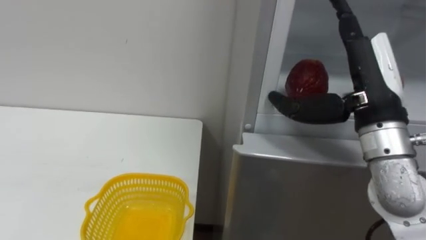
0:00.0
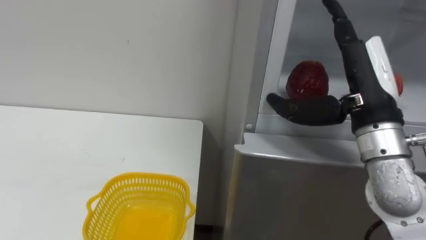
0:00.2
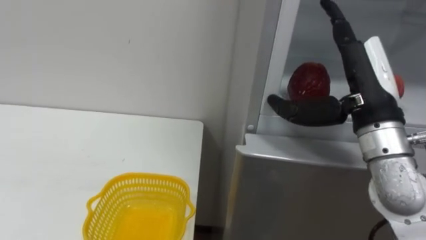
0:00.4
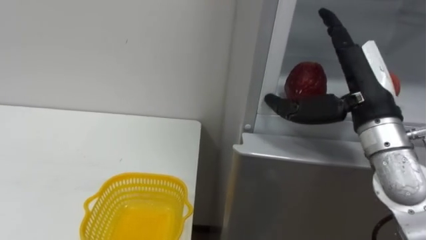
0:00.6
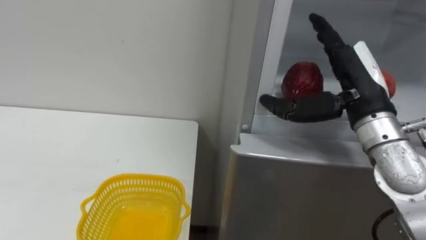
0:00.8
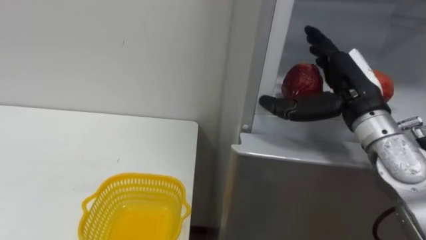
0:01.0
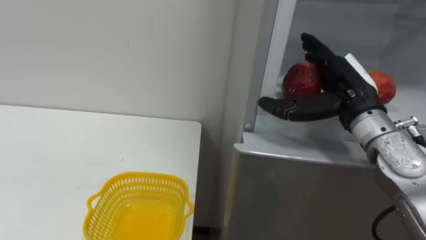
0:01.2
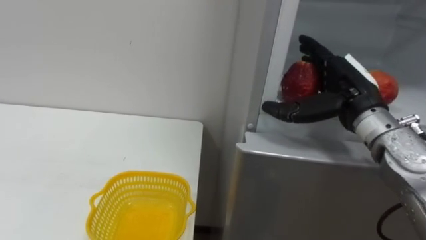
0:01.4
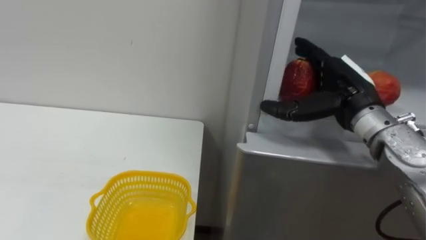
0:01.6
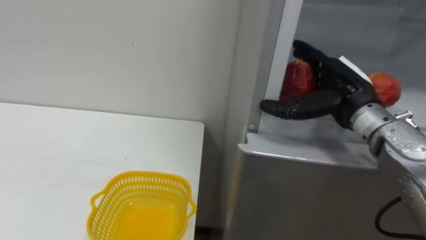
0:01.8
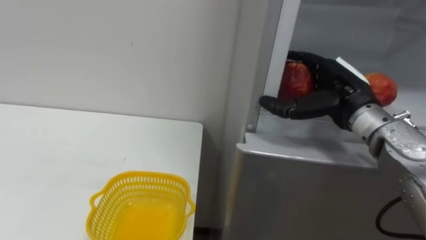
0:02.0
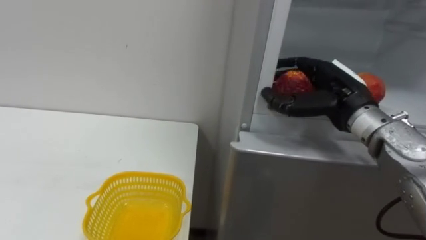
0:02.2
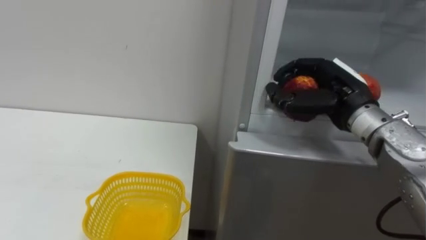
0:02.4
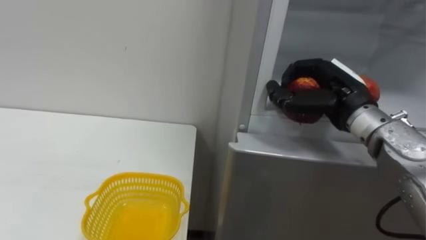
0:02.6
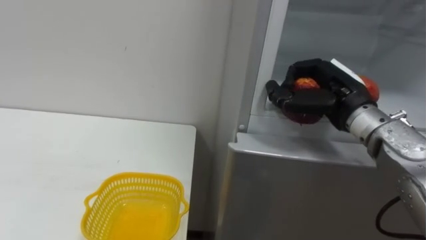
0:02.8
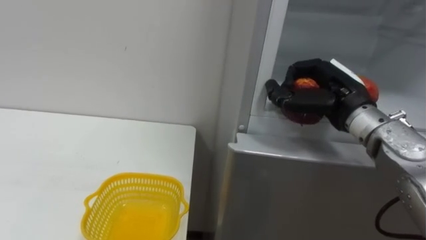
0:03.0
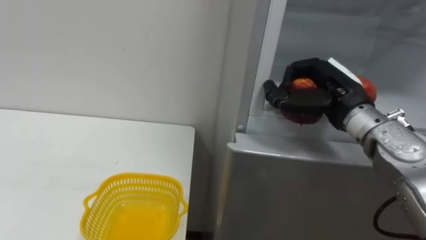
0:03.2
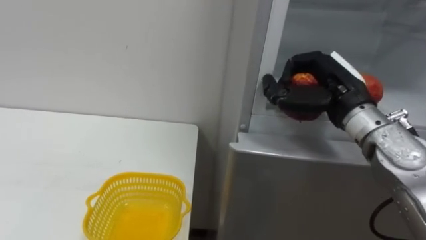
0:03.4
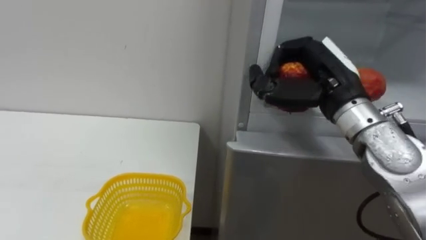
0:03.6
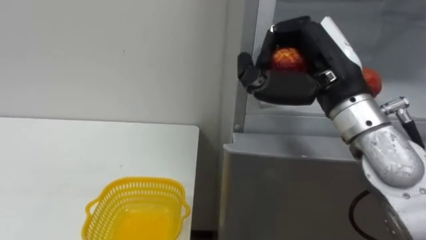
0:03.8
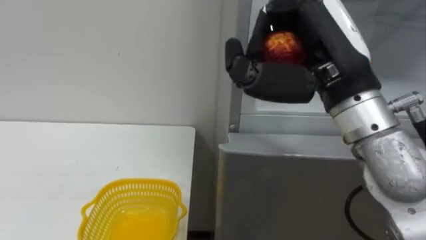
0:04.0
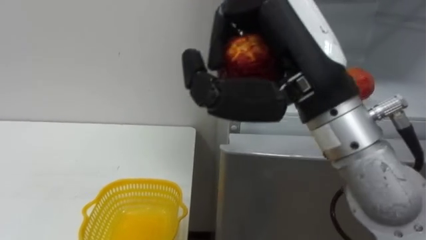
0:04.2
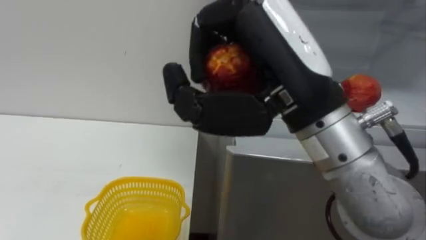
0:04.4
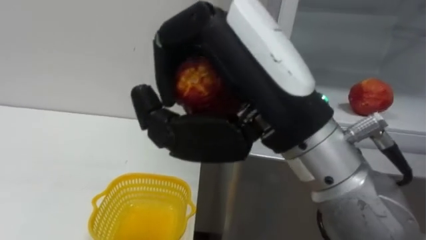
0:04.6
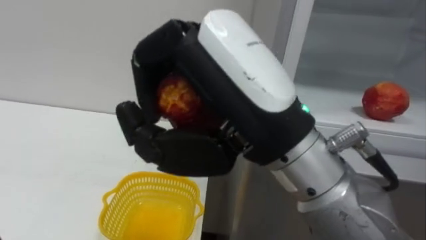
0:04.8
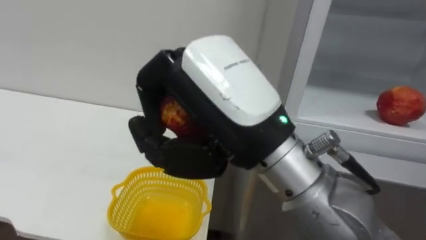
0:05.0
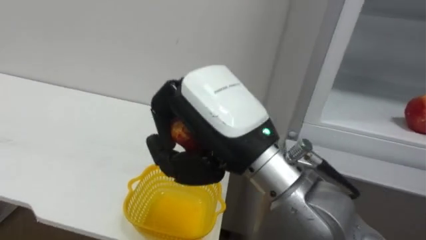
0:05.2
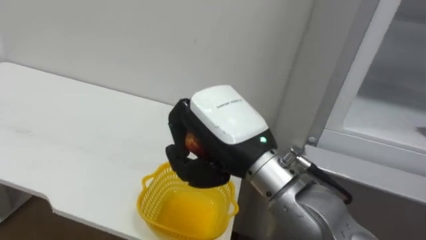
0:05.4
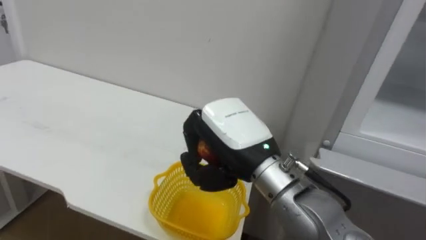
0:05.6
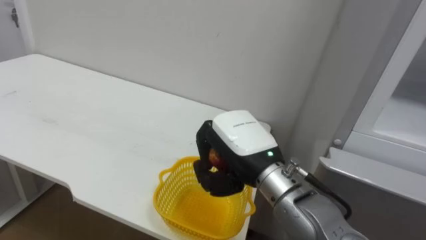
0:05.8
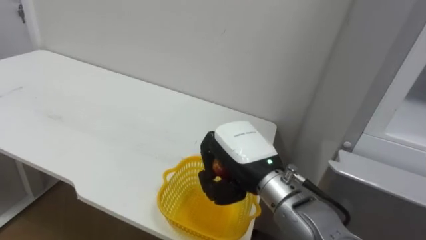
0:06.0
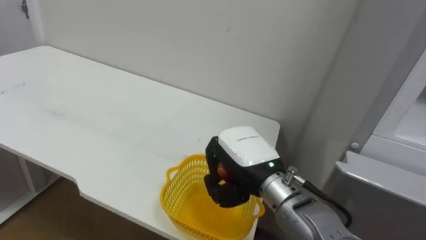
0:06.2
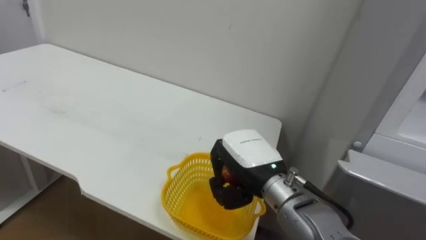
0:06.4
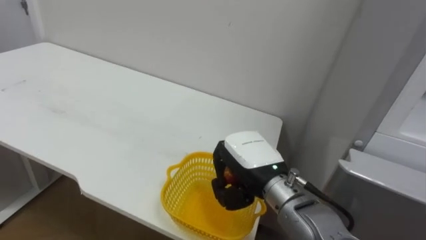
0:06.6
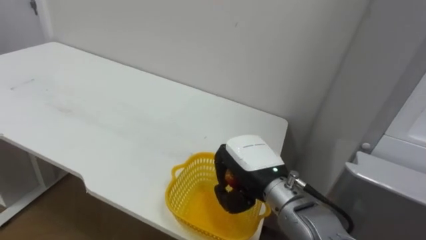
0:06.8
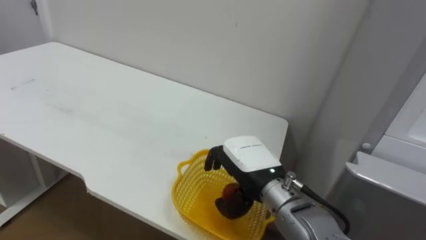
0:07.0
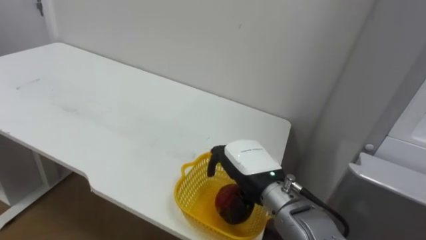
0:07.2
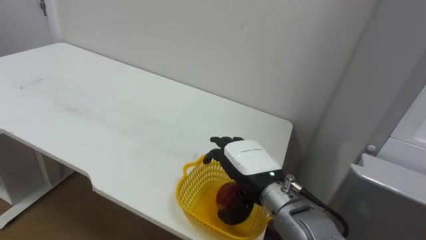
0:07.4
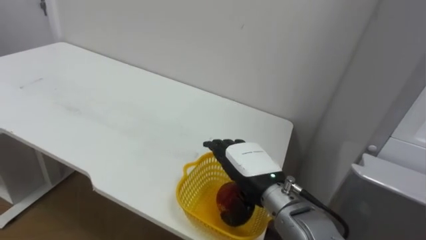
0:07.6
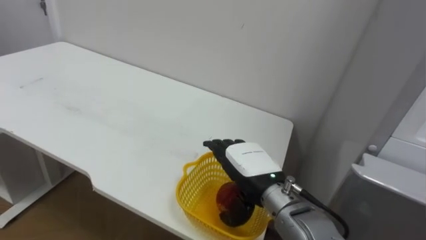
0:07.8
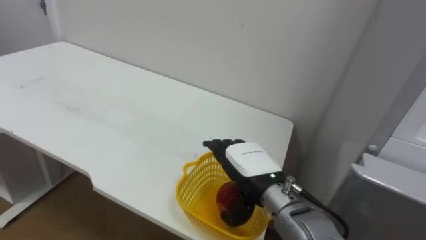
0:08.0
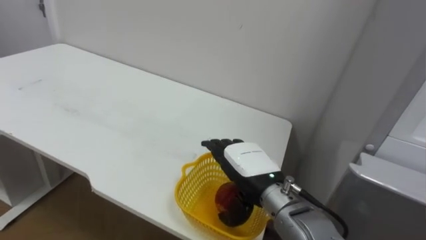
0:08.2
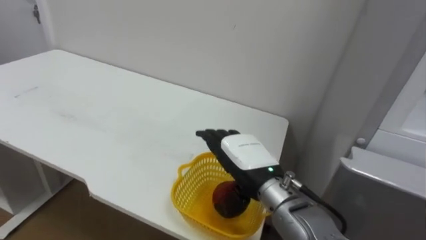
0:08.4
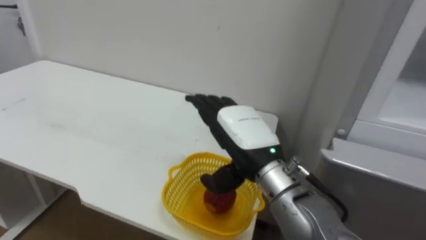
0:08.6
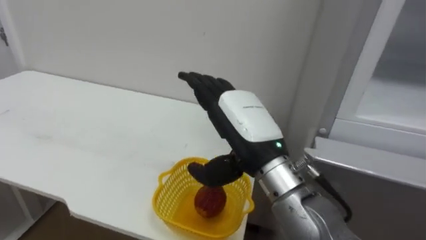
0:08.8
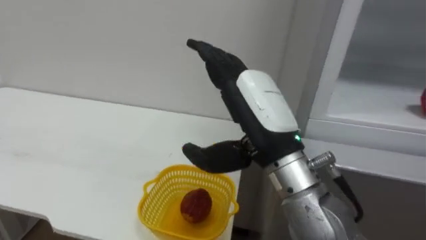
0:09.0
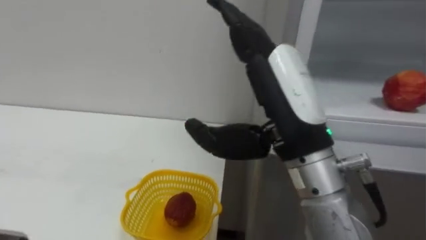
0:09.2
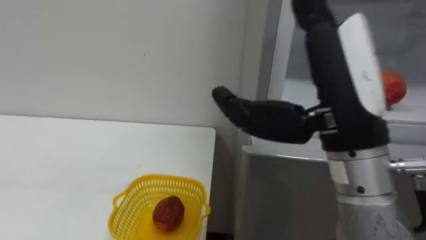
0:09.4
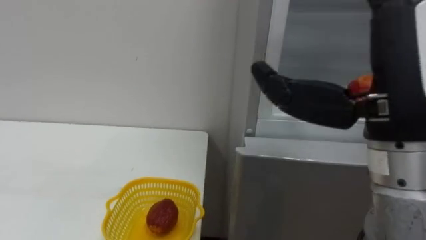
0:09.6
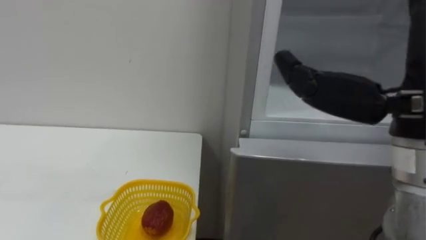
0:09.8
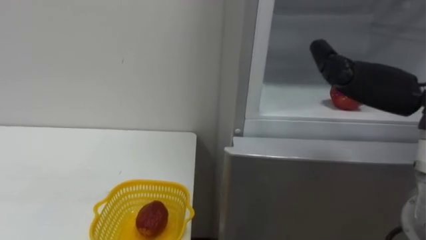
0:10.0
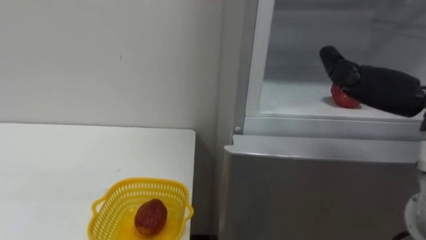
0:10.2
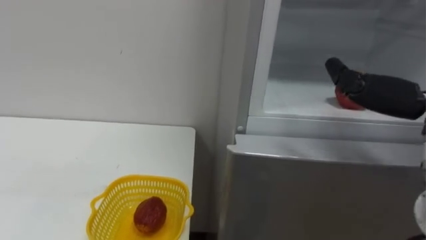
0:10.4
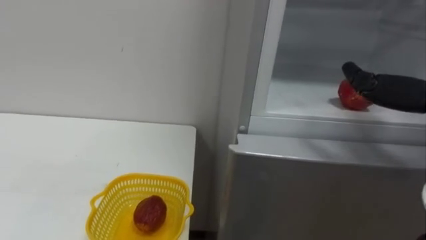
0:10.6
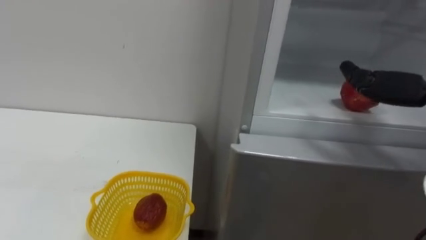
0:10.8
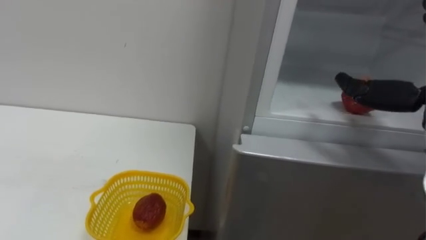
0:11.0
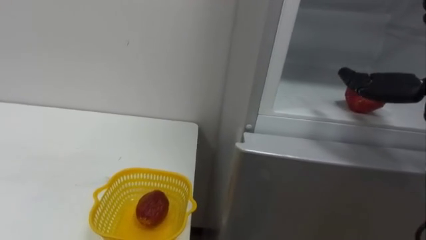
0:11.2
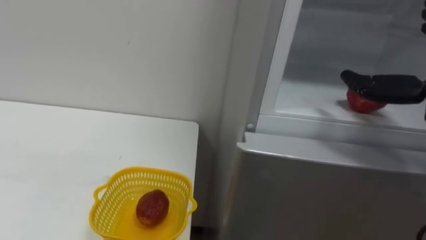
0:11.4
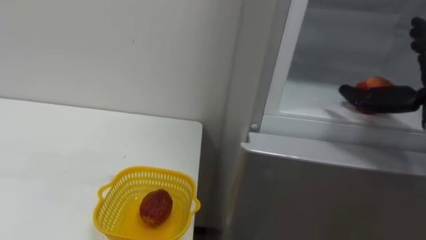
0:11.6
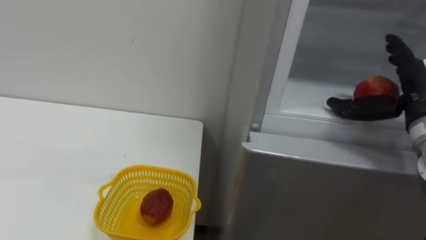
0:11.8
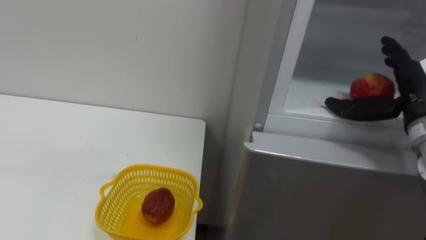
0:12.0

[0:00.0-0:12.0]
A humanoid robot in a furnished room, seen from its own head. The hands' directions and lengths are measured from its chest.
Task of the whole recording: Open the refrigerator door, take out the apple and the pomegranate, place them in the fruit basket on the left, and close the refrigerator door.
0:00.0 to 0:01.6: The right hand shifts roughly 5 cm forward.
0:01.6 to 0:03.0: The right hand closes.
0:03.0 to 0:04.4: The right hand heads backward, to the left and upward, covering roughly 20 cm.
0:04.4 to 0:06.0: The right hand moves downward and forward, some 20 cm.
0:06.0 to 0:07.6: The right hand is displaced downward by roughly 5 cm, and opens up.
0:07.6 to 0:09.0: The right hand is displaced upward and backward by about 15 cm.

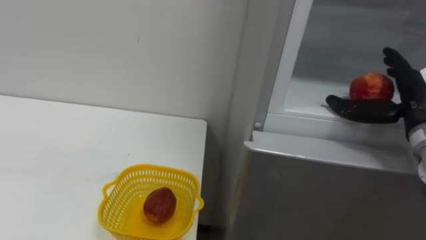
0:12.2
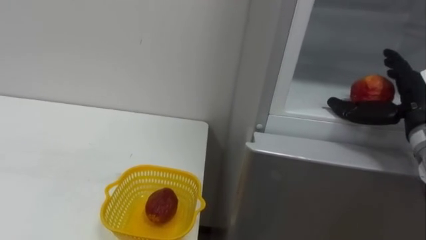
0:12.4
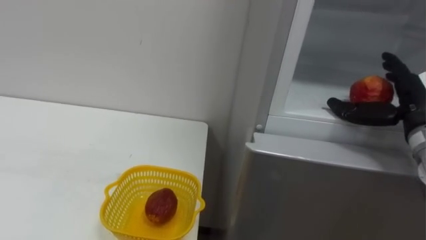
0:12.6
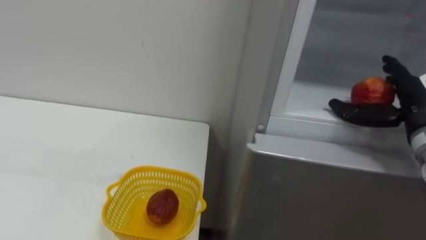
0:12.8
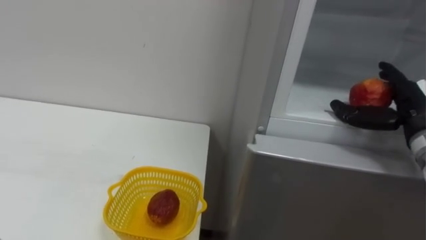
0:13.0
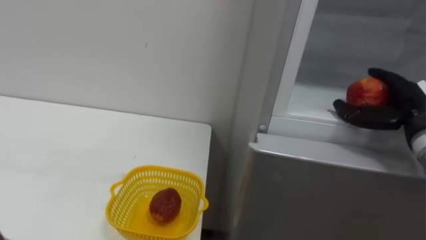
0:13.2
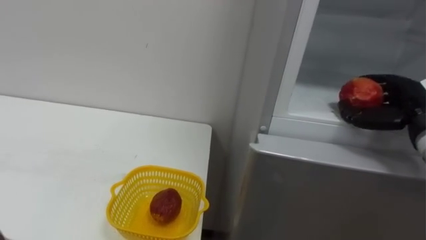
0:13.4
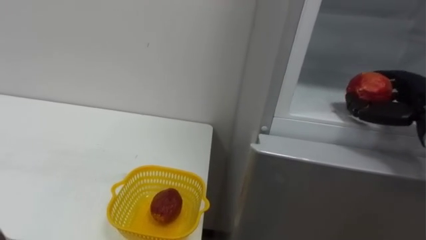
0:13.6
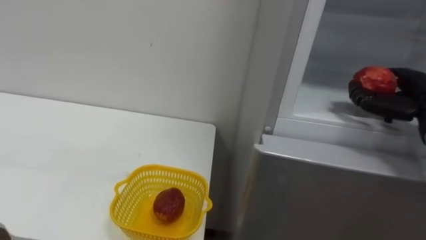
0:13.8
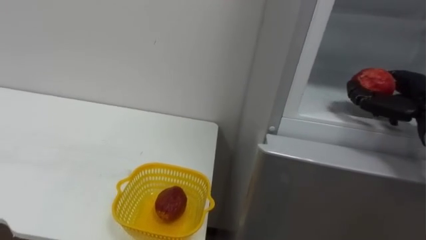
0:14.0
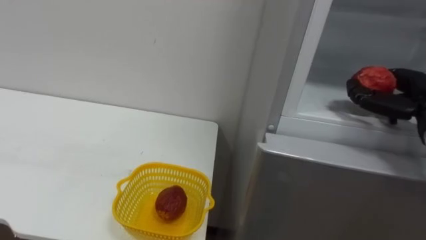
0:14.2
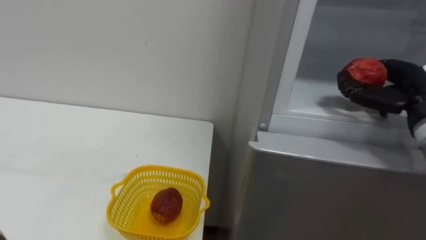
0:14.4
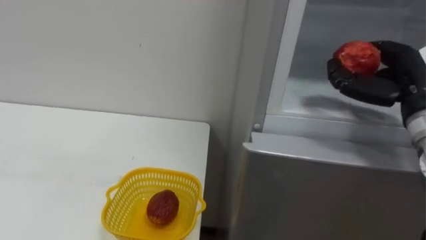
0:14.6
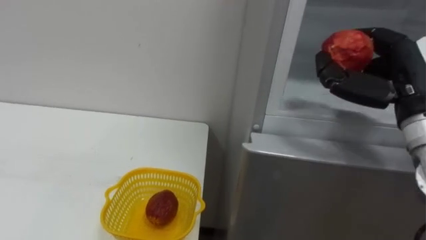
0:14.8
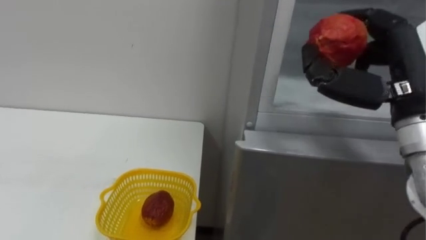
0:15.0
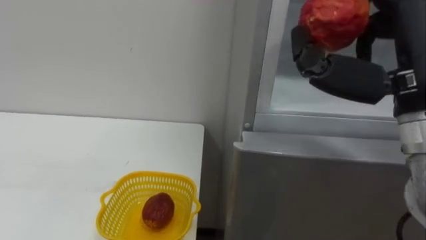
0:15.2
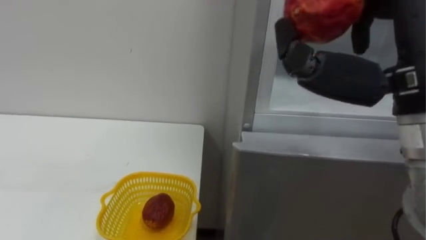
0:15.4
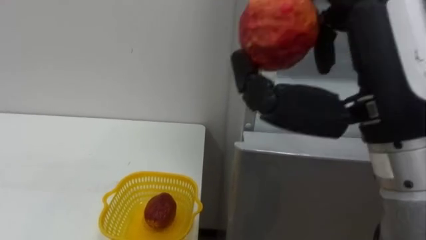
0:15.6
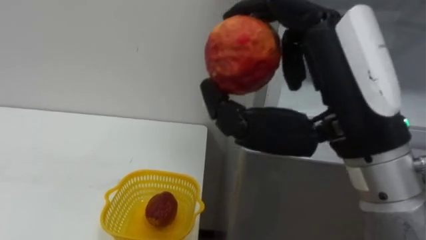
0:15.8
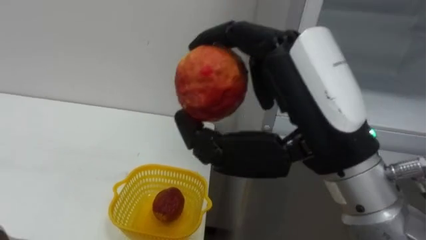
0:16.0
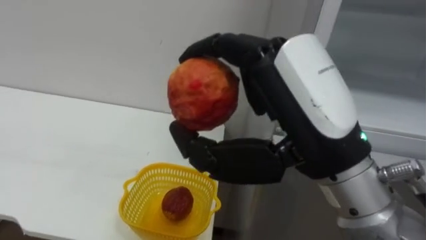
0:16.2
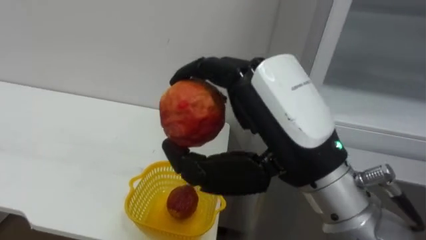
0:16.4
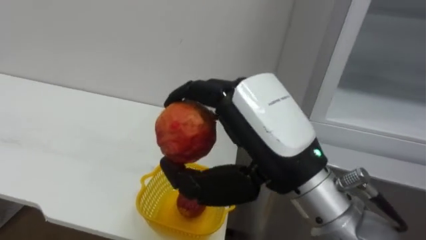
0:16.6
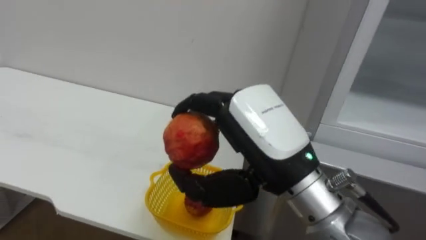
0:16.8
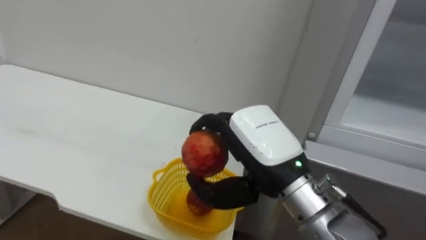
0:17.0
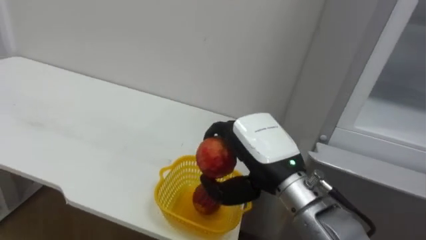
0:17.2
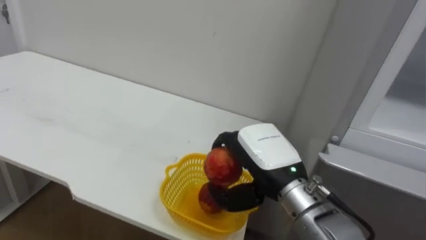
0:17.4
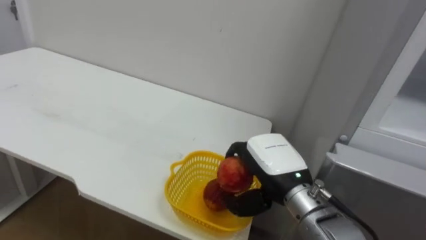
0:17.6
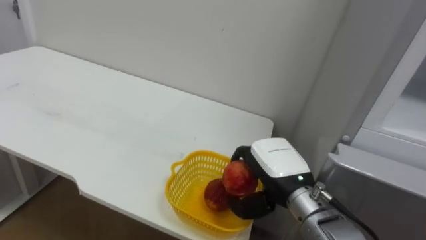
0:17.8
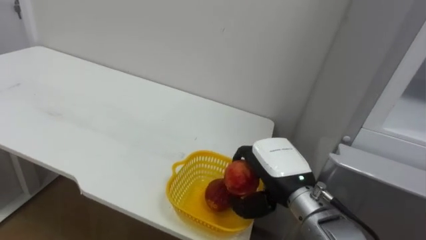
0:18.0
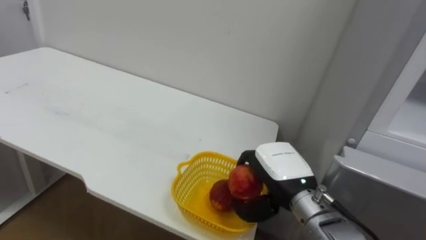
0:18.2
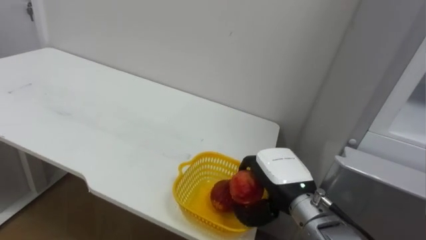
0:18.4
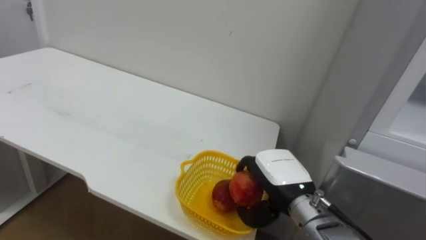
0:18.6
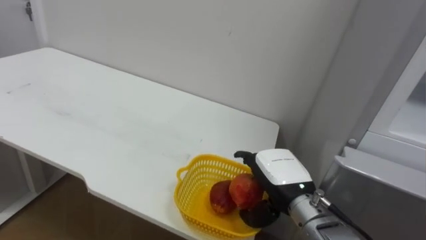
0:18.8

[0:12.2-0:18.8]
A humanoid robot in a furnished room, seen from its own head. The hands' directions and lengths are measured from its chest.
Task of the whole recording: Open the refrigerator door, take out the apple and the pomegranate, place them in the fruit basket on the left, and close the refrigerator door.
0:12.2 to 0:13.8: The right hand closes its fingers.
0:13.8 to 0:15.4: The right hand travels to the left, upward and backward by roughly 25 cm.
0:15.4 to 0:17.2: The right hand heads downward, to the left and forward, covering approximately 20 cm.
0:17.2 to 0:18.8: The right hand moves downward, roughly 10 cm.
